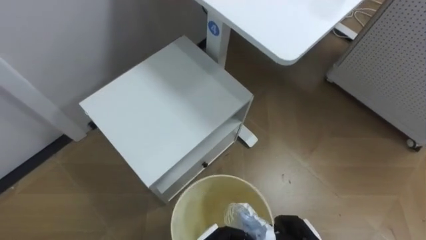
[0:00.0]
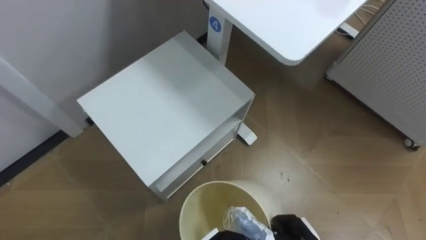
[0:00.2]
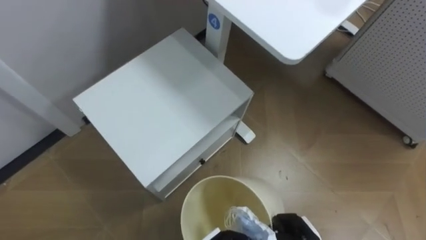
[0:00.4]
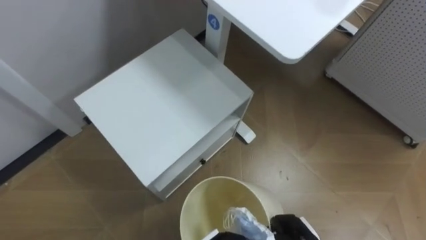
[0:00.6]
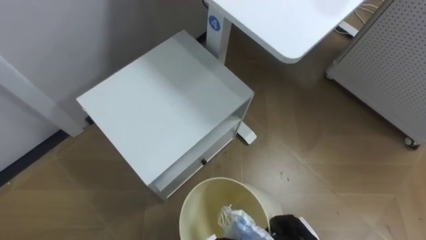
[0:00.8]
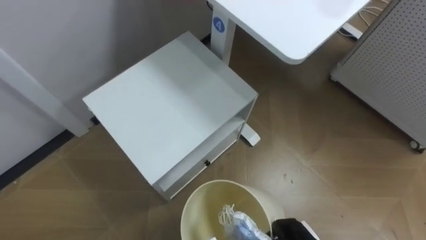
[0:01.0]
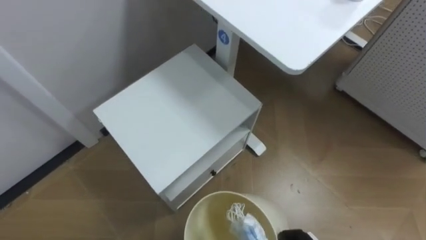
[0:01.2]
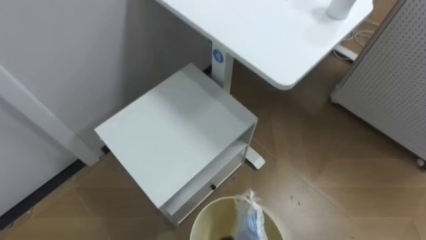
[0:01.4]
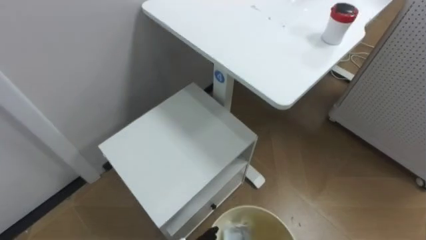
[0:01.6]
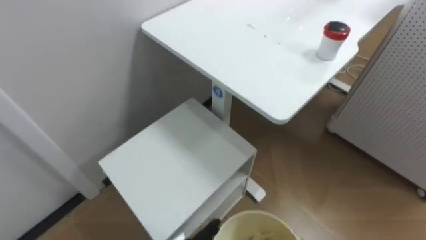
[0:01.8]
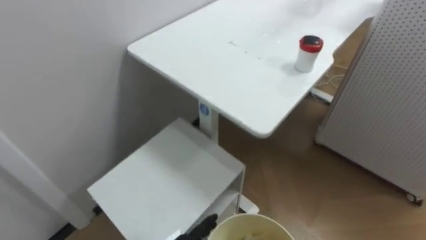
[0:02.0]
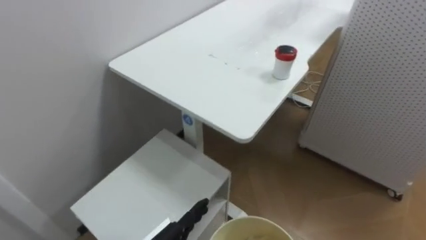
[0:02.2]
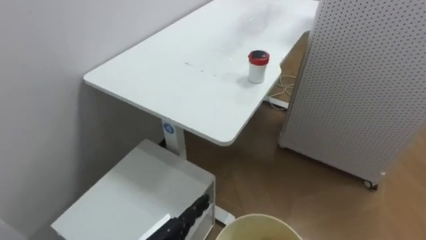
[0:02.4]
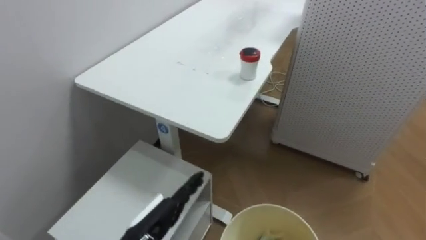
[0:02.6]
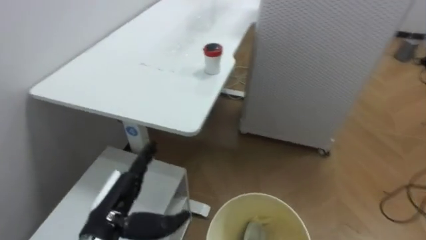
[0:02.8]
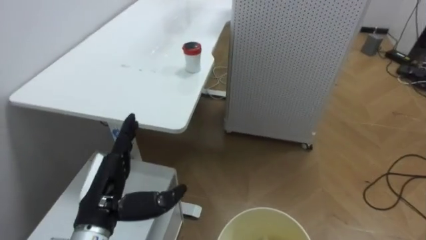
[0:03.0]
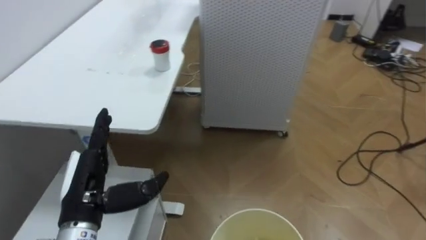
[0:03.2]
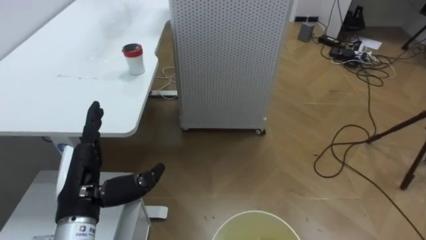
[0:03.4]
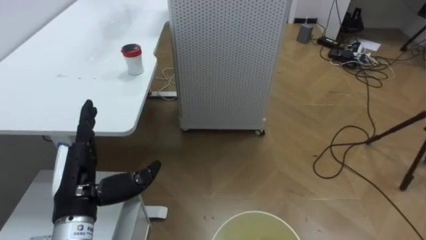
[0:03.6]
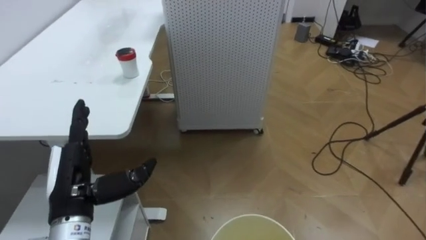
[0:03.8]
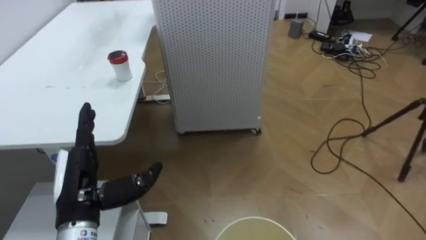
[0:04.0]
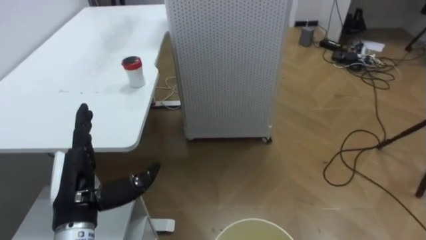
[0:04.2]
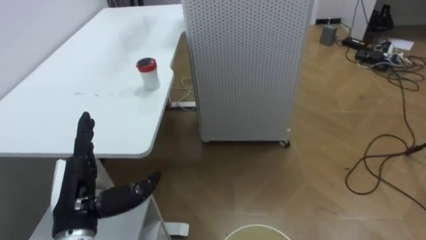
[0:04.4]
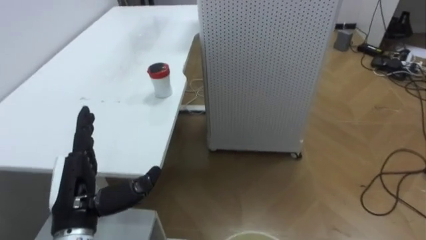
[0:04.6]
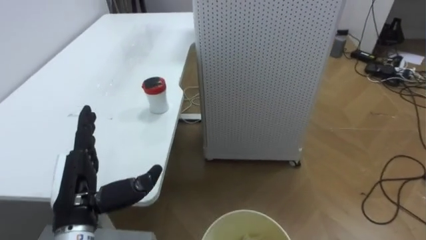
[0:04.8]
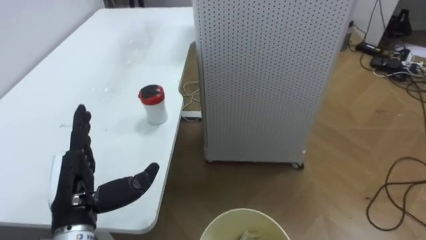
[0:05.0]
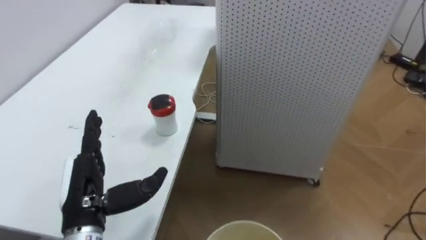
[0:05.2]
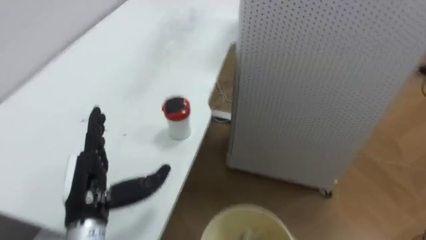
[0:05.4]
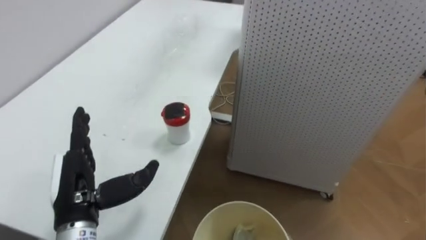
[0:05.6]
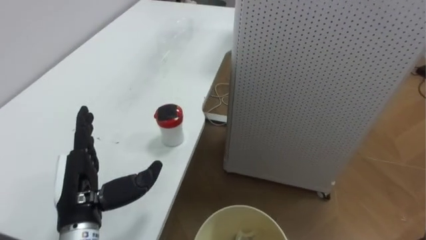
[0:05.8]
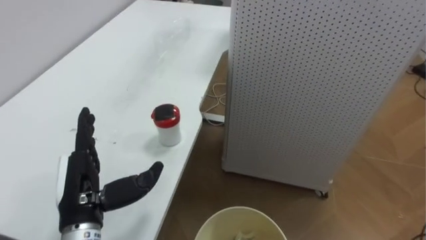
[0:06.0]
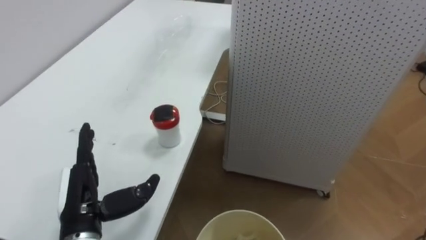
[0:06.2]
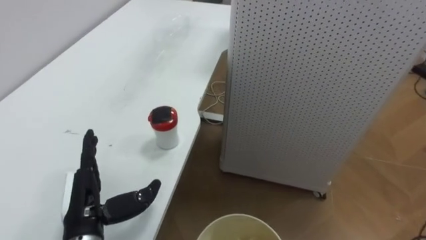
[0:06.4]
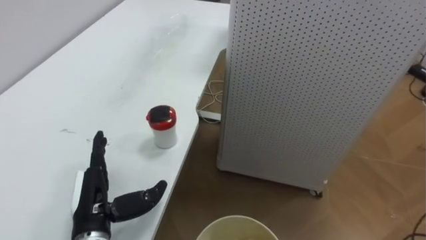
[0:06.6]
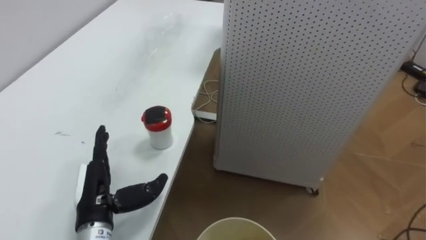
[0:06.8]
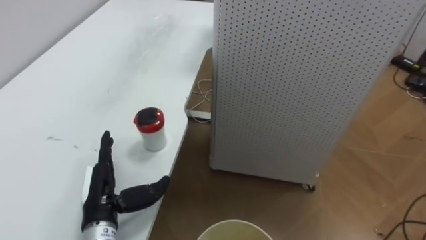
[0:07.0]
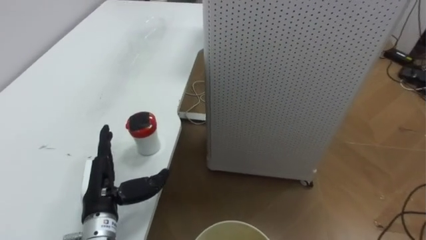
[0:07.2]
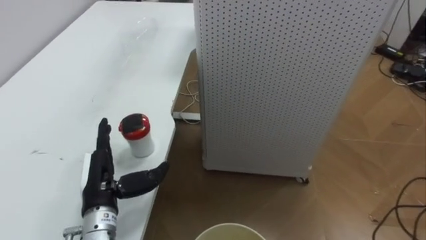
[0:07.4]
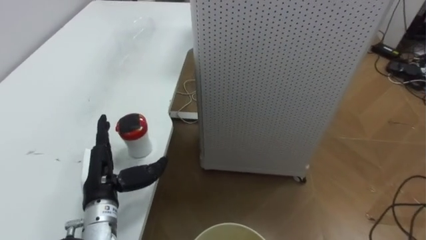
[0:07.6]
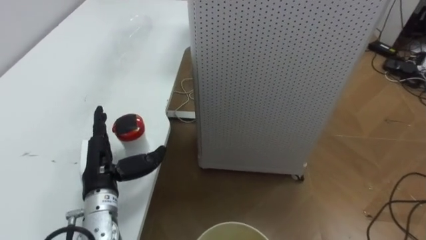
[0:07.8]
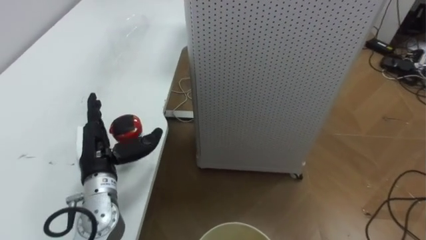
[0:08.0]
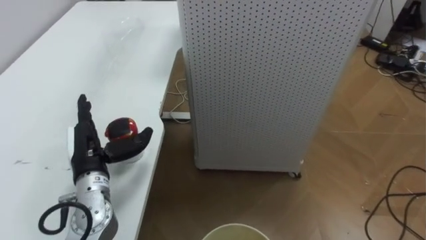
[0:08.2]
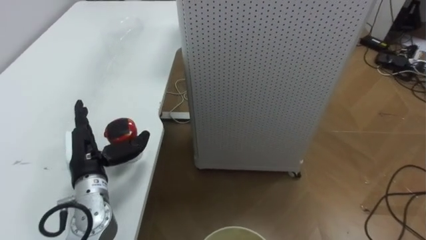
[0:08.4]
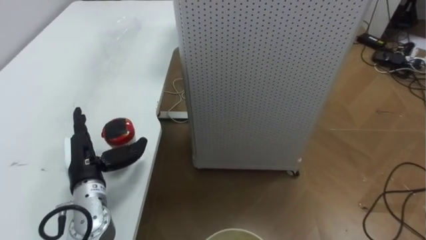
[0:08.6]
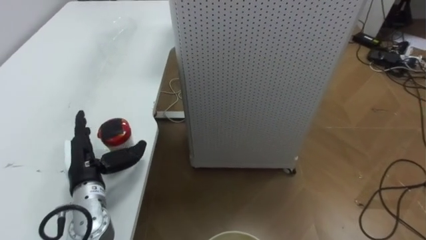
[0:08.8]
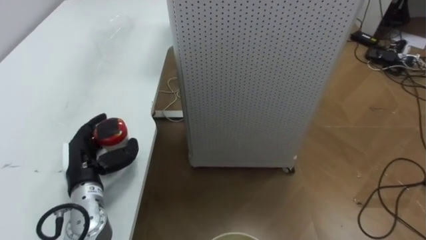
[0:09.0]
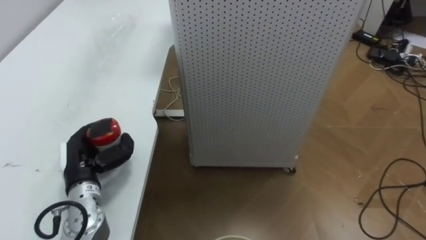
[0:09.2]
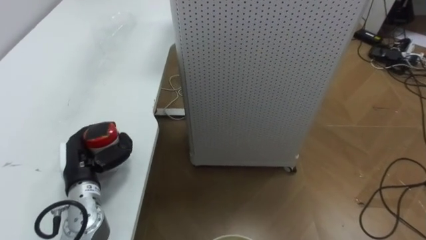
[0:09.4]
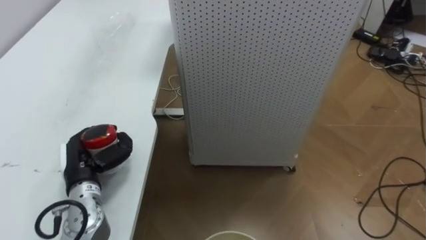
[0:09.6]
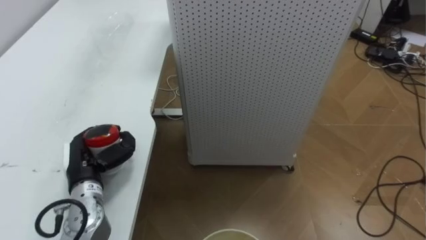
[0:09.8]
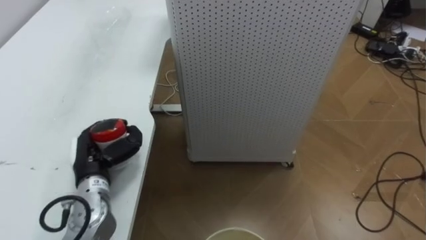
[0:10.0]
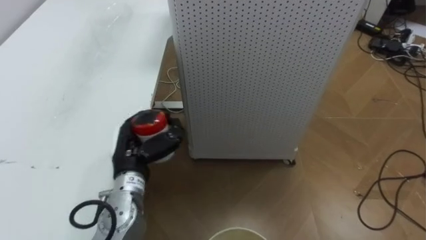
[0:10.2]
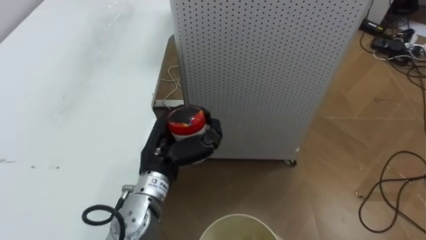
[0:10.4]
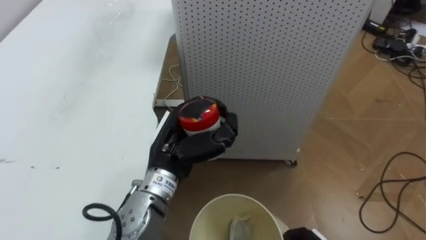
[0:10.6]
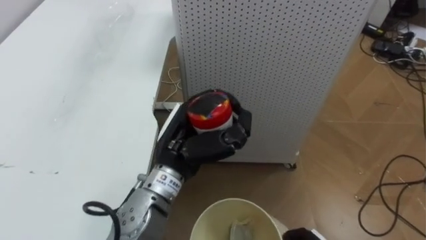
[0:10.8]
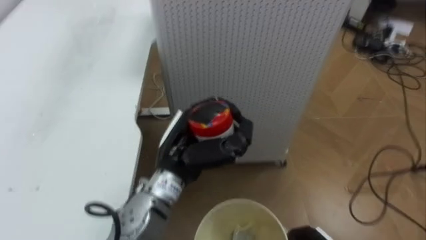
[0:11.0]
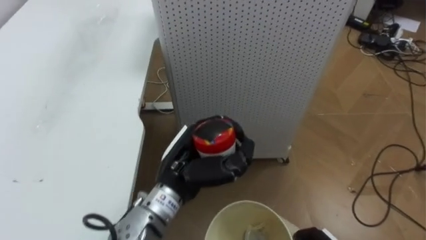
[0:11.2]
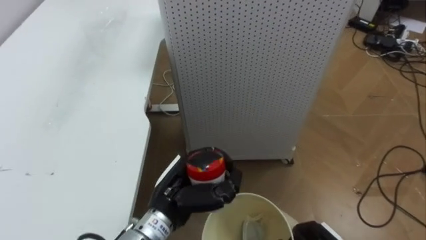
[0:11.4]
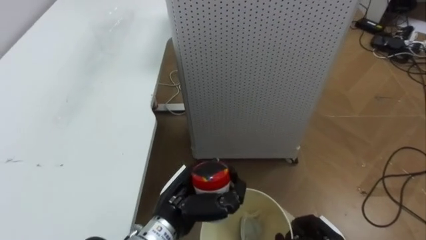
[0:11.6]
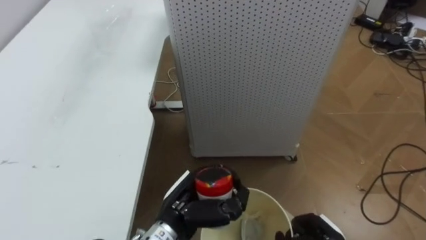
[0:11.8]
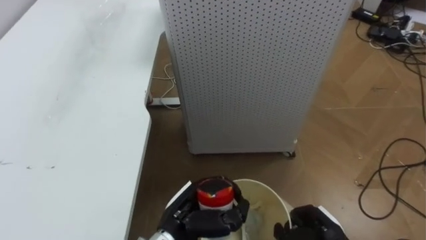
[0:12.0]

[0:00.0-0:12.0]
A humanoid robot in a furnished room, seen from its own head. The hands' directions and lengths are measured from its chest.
Task of the whole recording: Pick up the light blue package, the candy box, and the dark blue package separately, and put them into the trash can held in your right hand.
0:01.6 to 0:03.0: The robot turns to its right by roughly 35 degrees.
0:06.0 to 0:07.6: The left hand moves roughly 5 cm.
0:09.0 to 0:10.4: The left hand heads to the right, covering roughly 15 cm, and closes its fingers.
0:10.4 to 0:12.0: The left hand goes about 10 cm downward and backward.

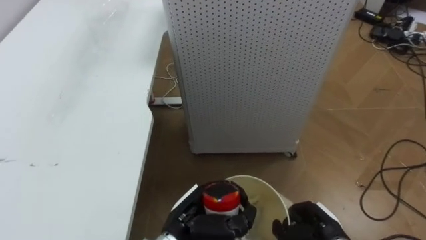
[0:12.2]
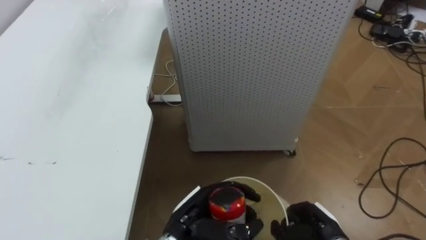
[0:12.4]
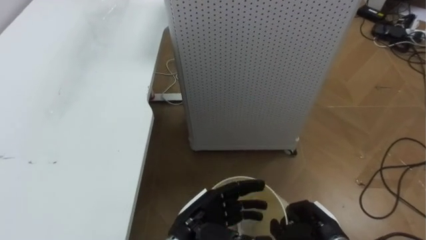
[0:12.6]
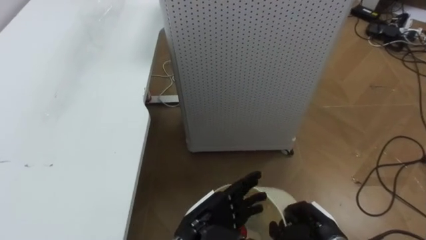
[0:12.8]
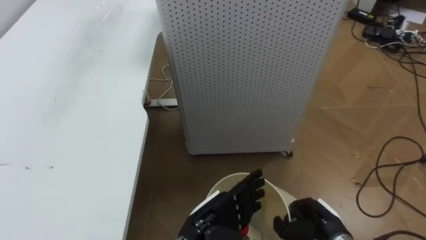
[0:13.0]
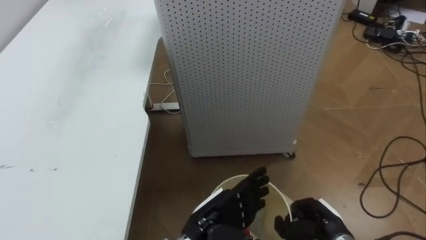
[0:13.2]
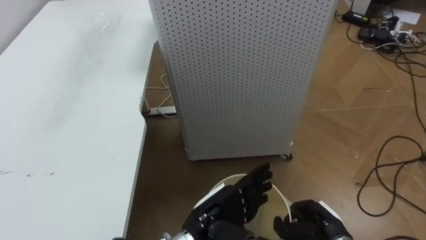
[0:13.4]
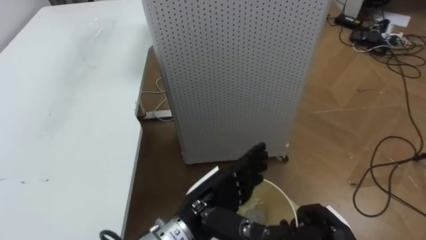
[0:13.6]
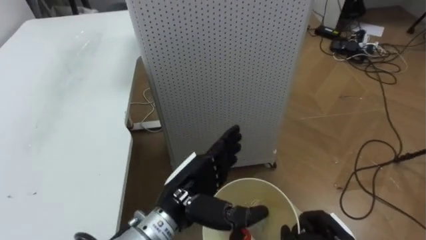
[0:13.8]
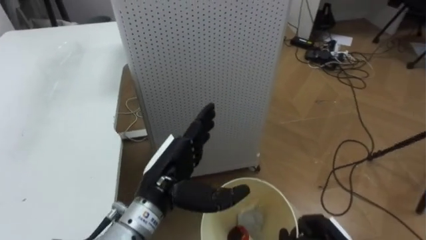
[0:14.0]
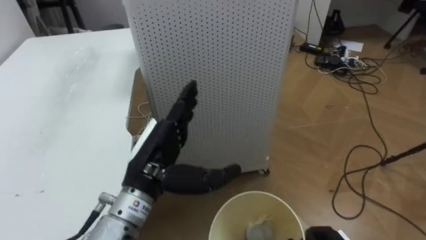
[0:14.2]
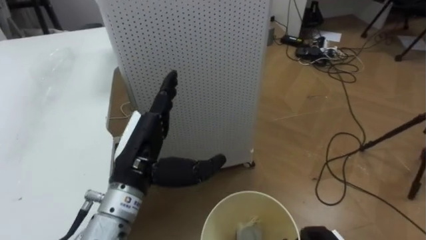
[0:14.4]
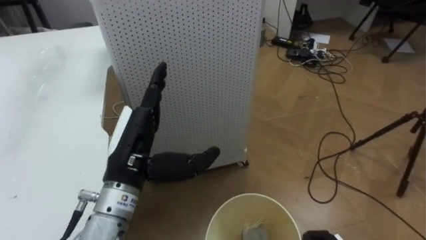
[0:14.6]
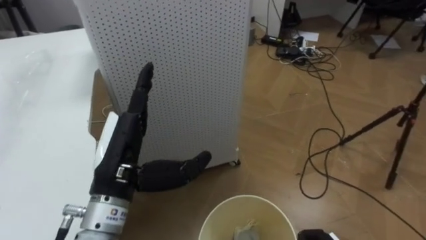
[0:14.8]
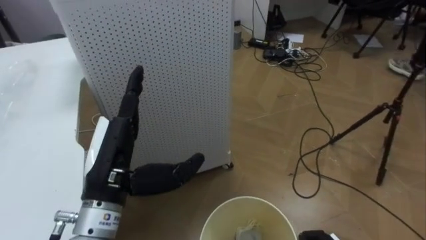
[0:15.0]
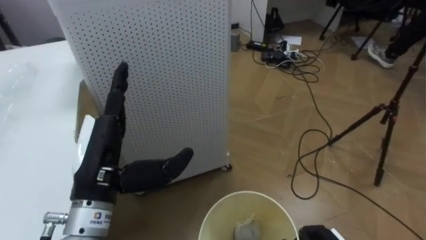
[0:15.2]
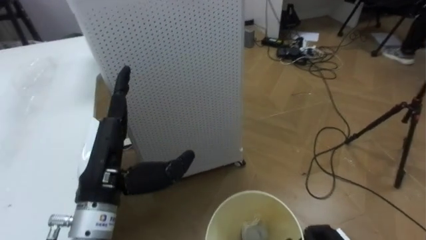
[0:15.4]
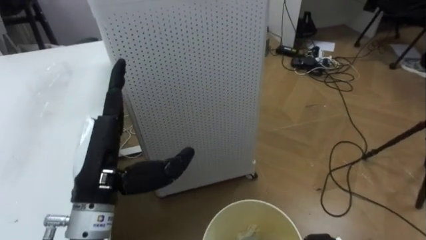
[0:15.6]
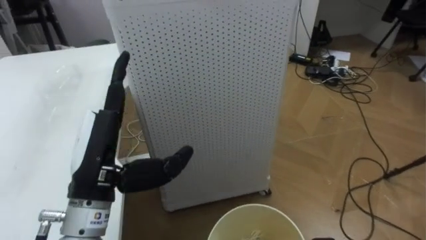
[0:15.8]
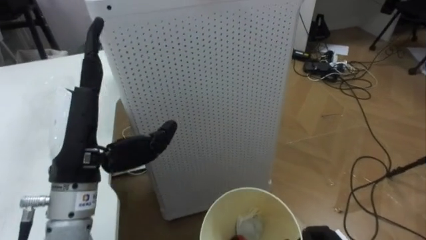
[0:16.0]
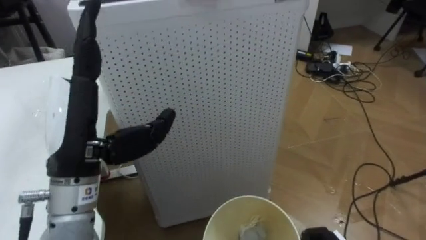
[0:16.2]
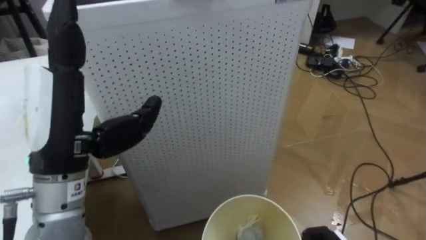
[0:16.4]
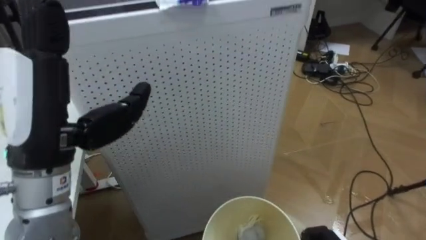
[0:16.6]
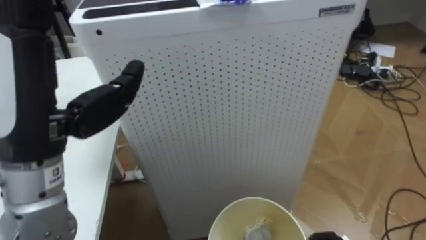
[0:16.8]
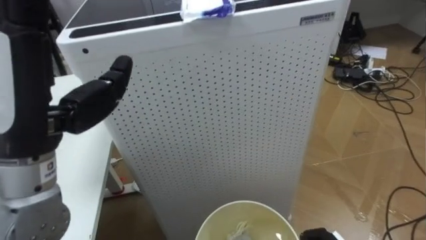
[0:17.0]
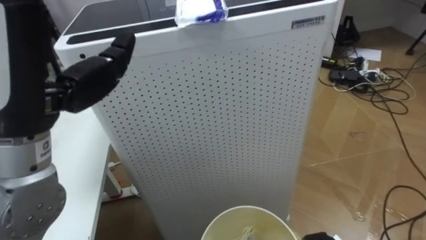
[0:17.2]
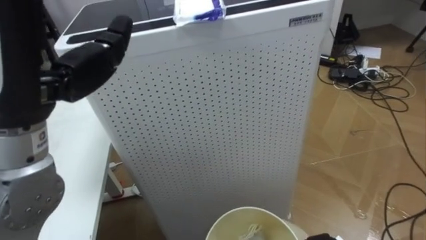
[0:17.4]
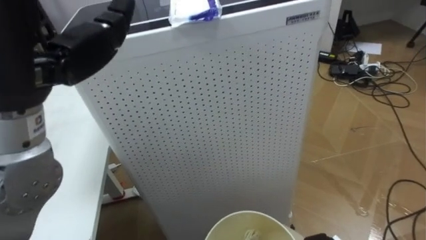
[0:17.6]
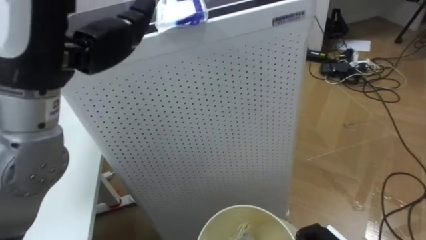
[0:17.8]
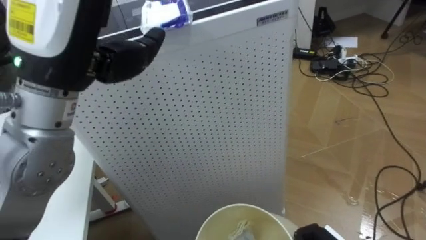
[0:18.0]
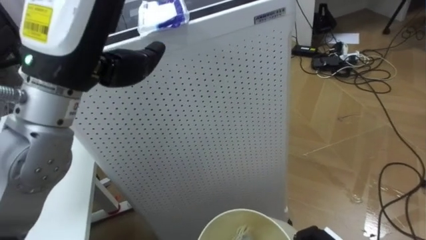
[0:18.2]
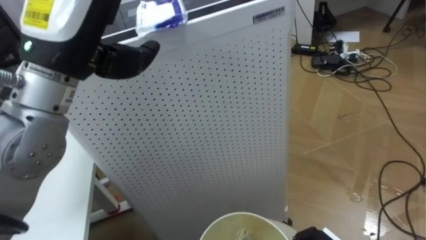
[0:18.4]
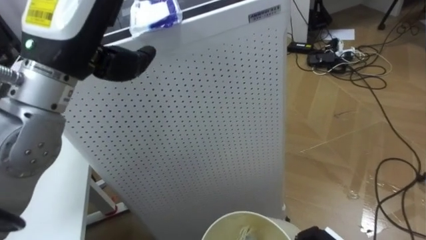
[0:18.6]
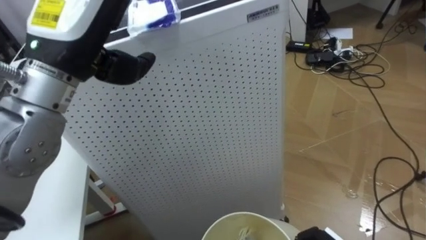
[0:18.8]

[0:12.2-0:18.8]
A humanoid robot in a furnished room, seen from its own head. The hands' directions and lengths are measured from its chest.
Task of the whole recording: Pick up the light blue package, the candy box, and the dark blue package separately, and put them into the trash can held in your right hand.
0:12.2 to 0:13.8: The left hand goes about 5 cm upward, and opens.
0:13.8 to 0:15.4: The left hand is displaced to the left and upward by some 15 cm.
0:15.4 to 0:17.2: The left hand heads upward, covering approximately 15 cm.
0:17.2 to 0:18.8: The left hand shifts about 10 cm forward.
